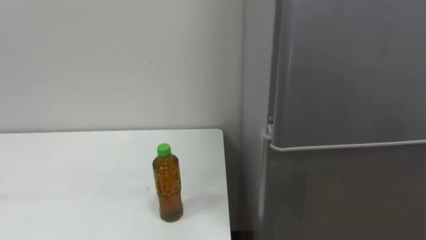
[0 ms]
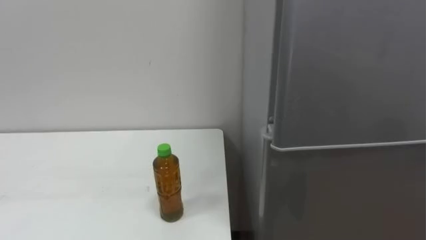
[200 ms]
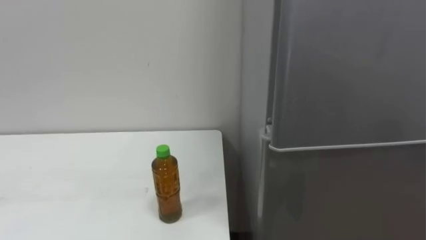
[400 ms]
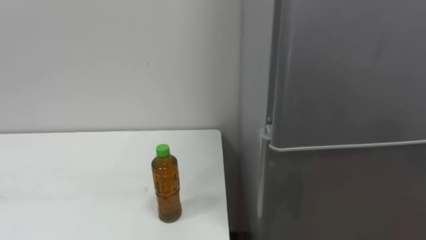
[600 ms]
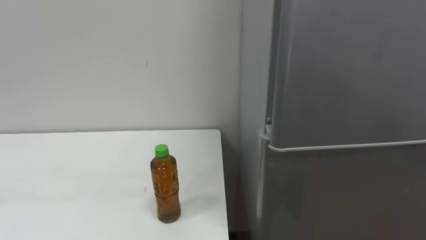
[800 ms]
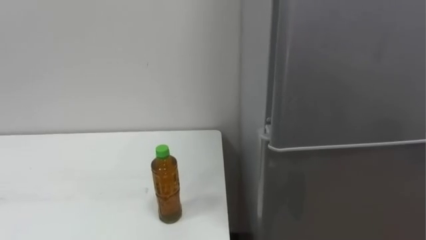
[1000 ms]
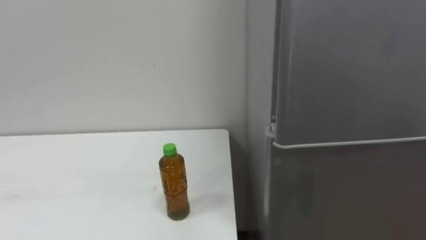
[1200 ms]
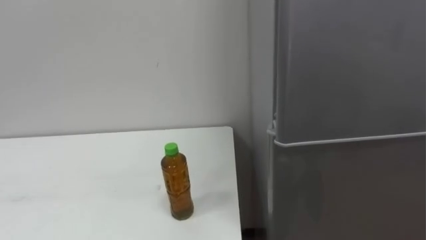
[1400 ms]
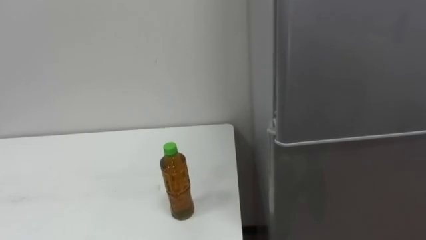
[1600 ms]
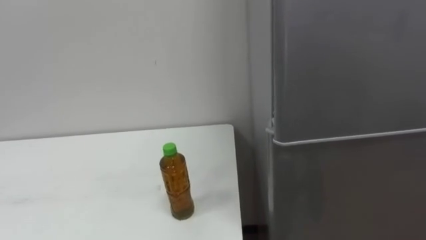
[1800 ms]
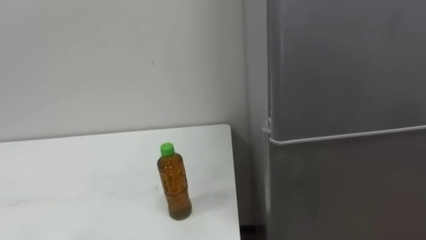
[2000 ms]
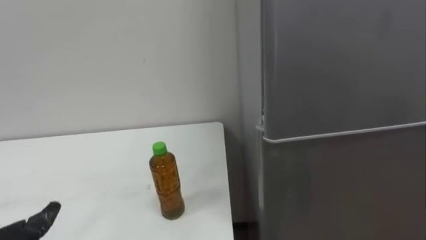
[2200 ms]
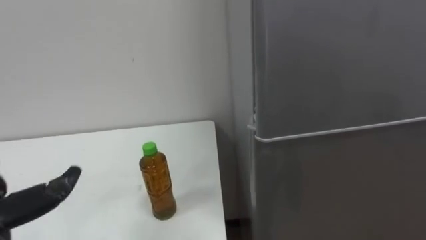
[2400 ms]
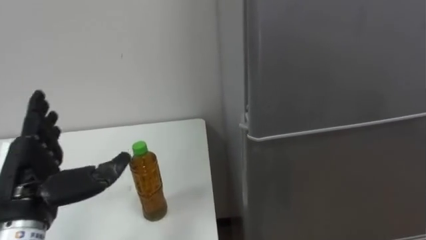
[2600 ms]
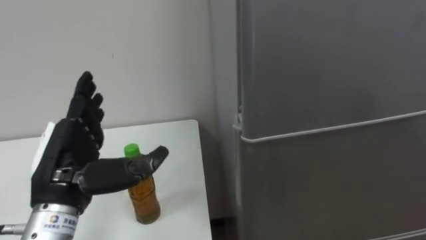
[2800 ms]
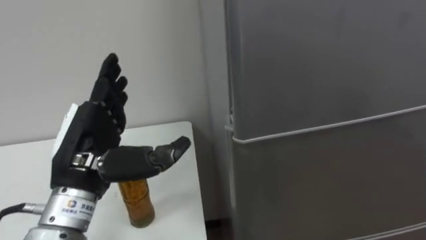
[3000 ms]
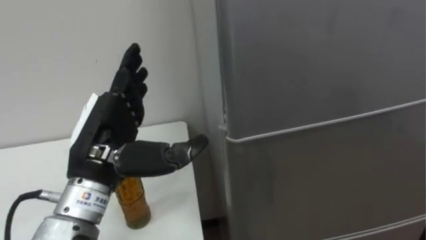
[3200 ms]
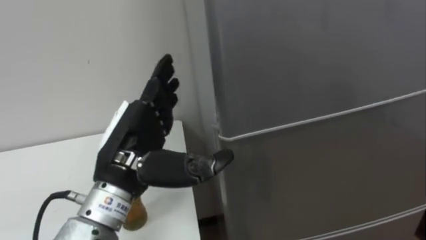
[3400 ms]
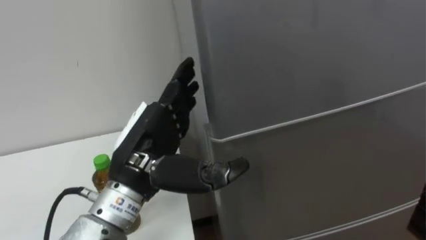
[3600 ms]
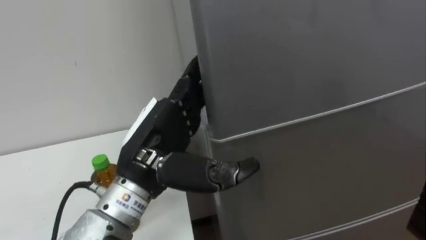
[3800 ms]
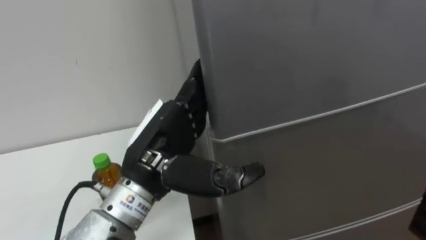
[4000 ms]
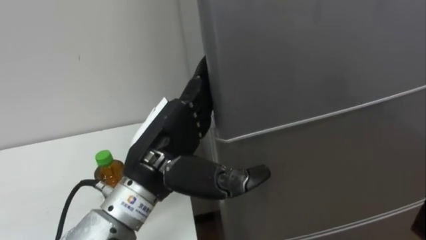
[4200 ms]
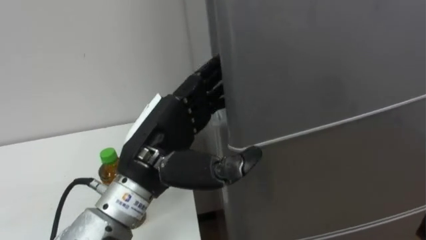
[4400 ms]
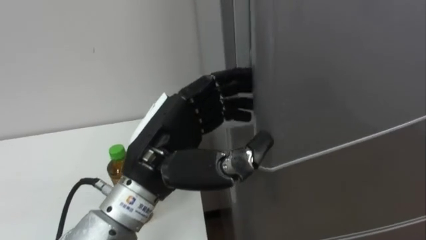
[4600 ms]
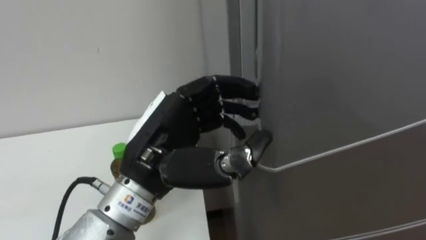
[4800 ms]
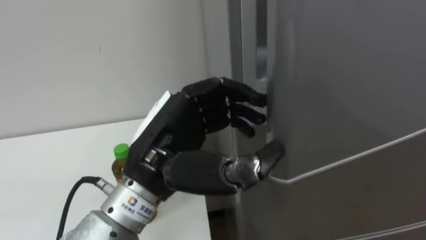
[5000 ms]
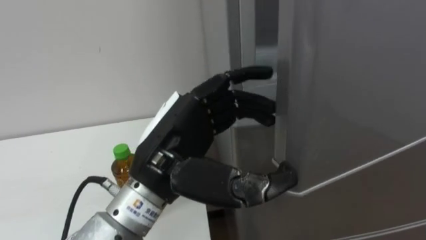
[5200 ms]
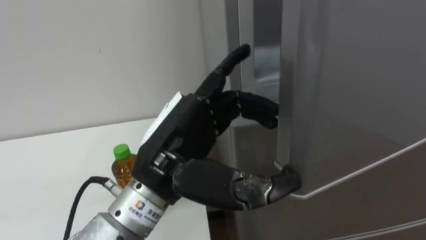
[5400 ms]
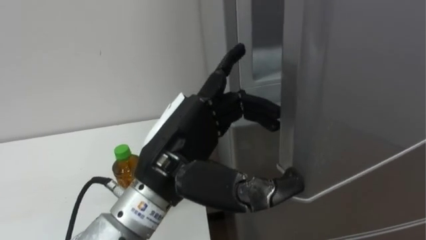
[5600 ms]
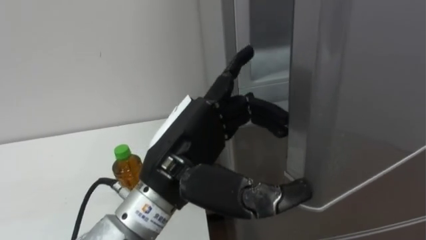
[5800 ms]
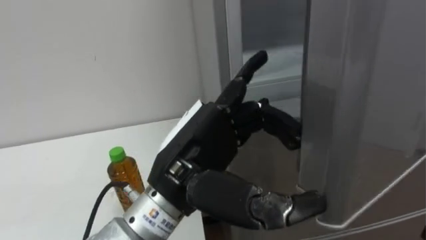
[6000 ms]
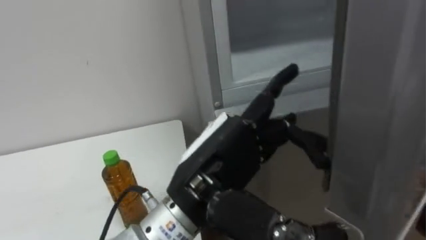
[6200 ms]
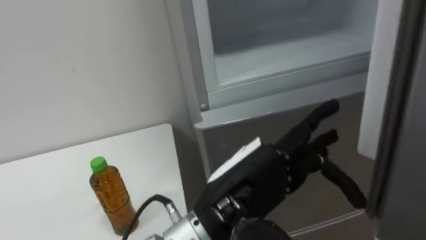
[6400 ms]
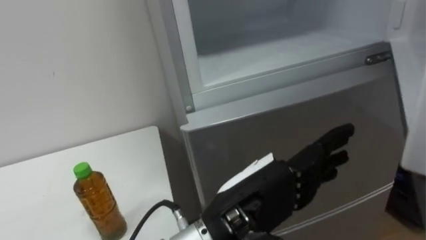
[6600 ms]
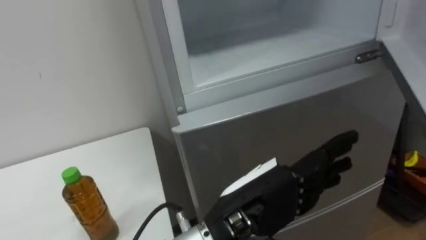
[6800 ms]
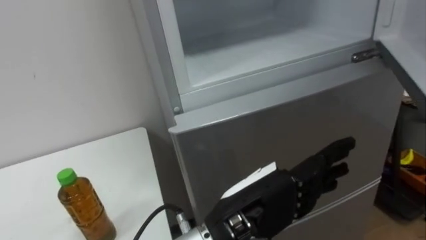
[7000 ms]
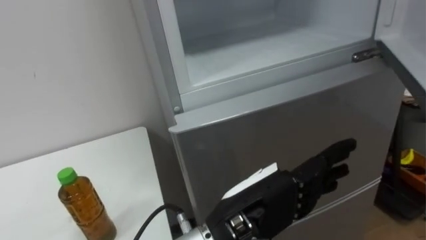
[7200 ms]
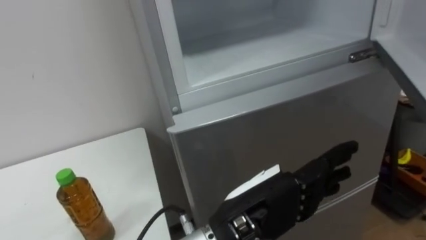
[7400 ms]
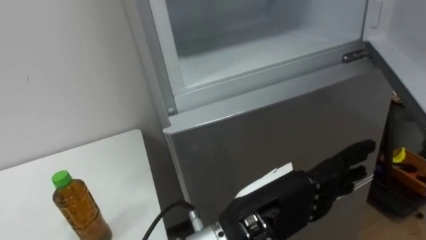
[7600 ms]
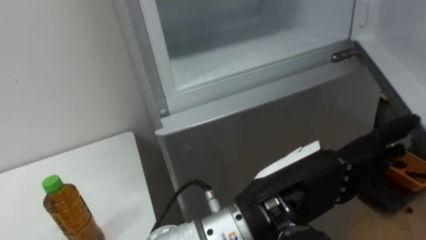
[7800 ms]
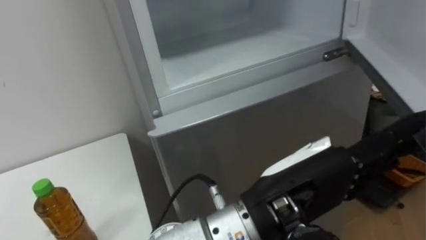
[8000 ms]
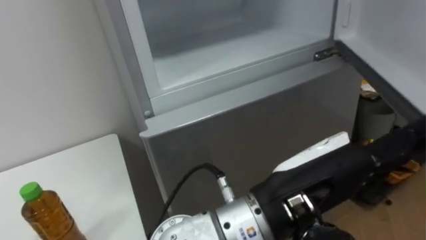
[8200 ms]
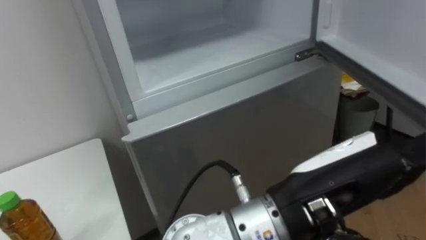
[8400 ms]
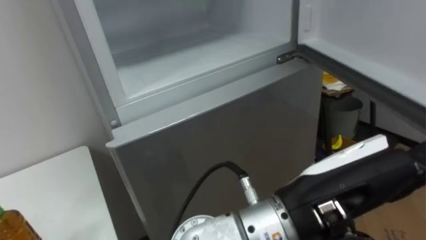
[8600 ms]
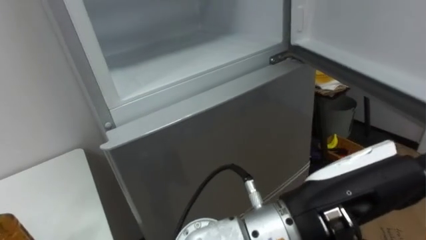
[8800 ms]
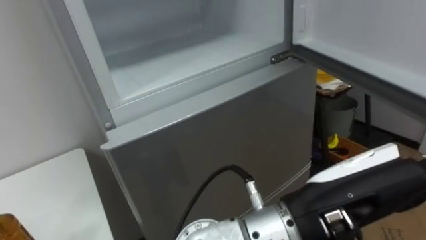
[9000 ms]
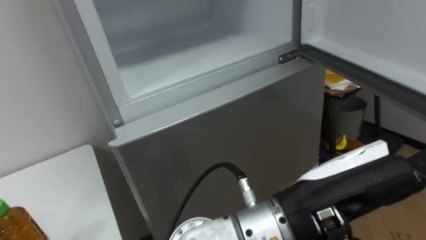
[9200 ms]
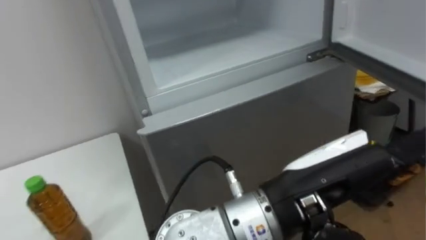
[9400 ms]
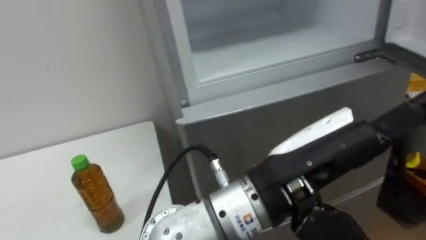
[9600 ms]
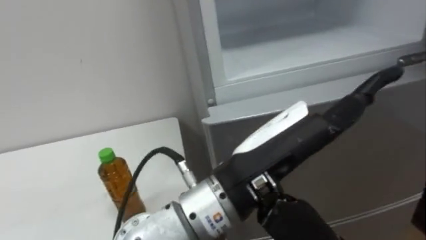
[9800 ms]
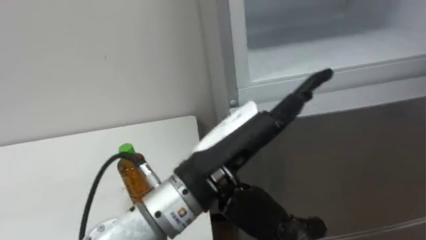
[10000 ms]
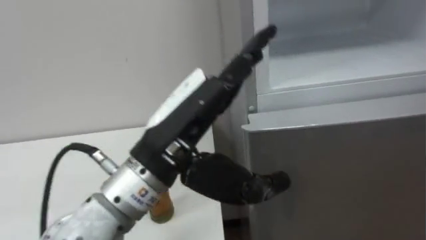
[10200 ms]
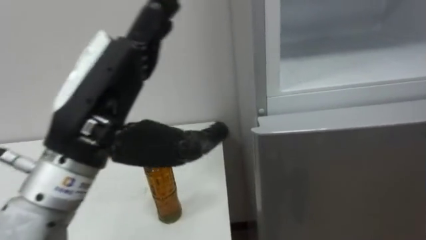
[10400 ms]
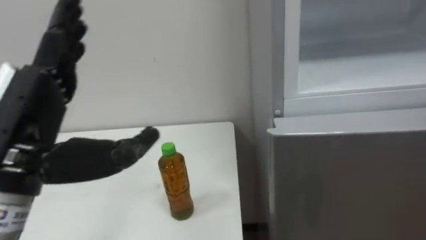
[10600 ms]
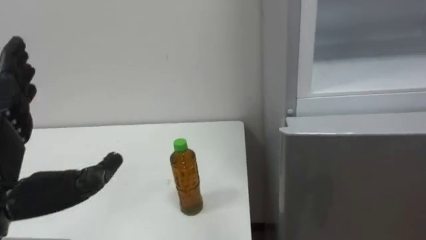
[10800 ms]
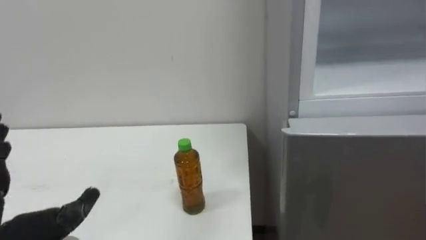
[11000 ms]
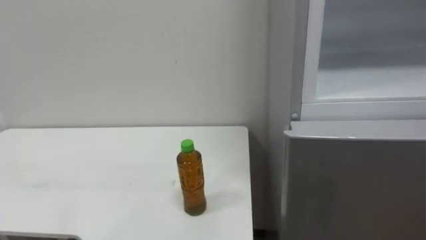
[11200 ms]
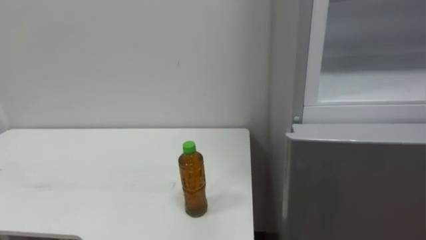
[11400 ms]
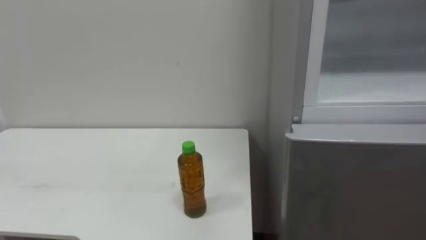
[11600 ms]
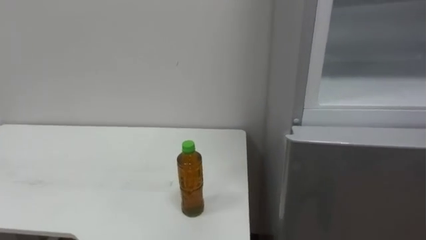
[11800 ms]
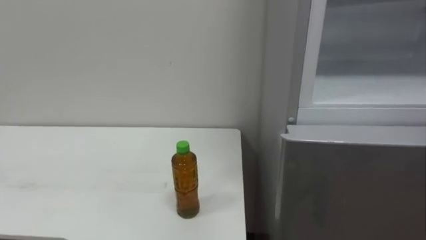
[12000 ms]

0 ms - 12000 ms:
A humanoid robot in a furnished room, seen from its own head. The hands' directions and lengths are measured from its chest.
Task of the whole recording: Open the upper refrigerator door, put the drink from the table into the refrigerator, and then close the refrigerator door.
3000 ms - 4400 ms: The left hand heads to the right, covering about 10 cm.
4400 ms - 6000 ms: The left hand moves approximately 5 cm, and closes and opens again.
6000 ms - 7600 ms: The left hand is displaced to the right by about 10 cm.
7600 ms - 9000 ms: The left hand shifts some 10 cm to the right and upward.
9000 ms - 10400 ms: The left hand travels to the left by roughly 20 cm.

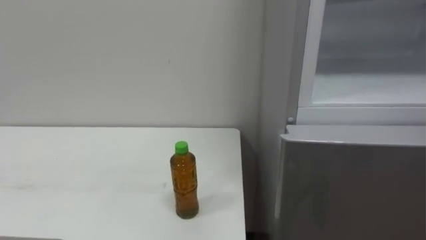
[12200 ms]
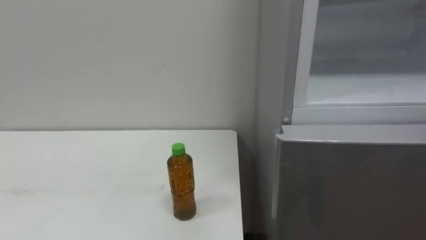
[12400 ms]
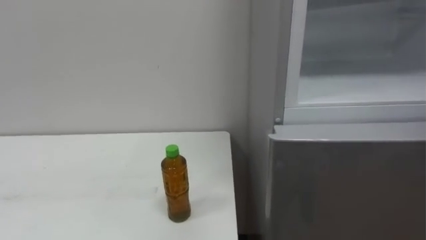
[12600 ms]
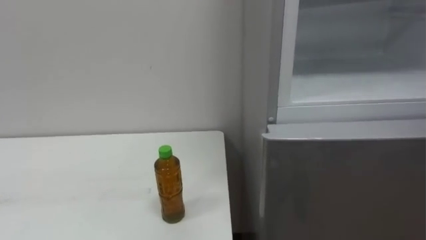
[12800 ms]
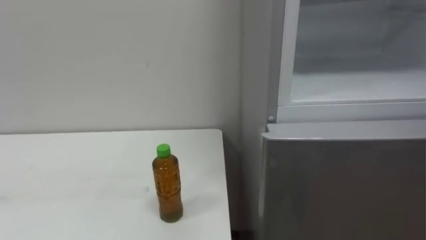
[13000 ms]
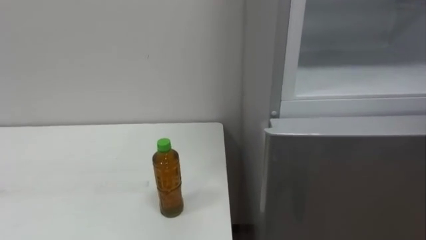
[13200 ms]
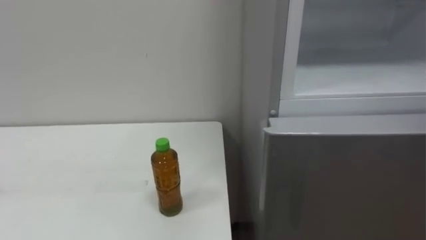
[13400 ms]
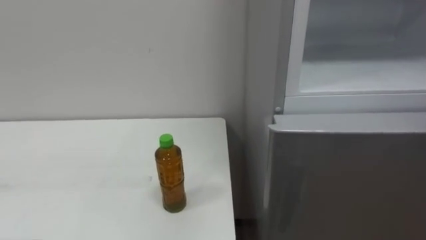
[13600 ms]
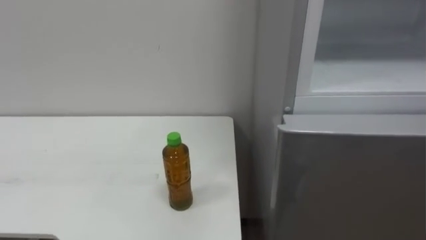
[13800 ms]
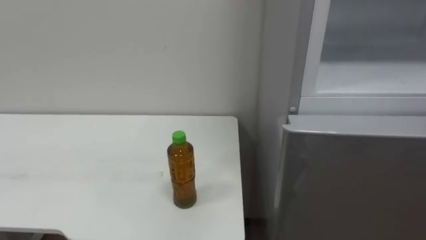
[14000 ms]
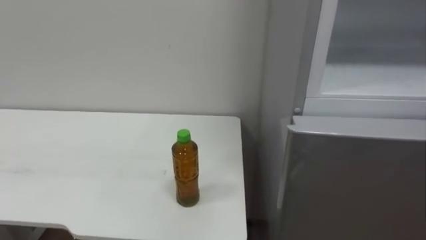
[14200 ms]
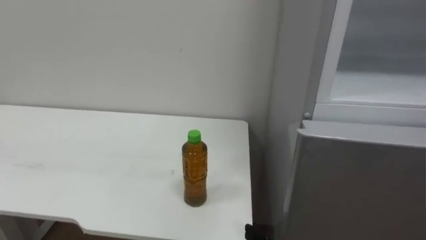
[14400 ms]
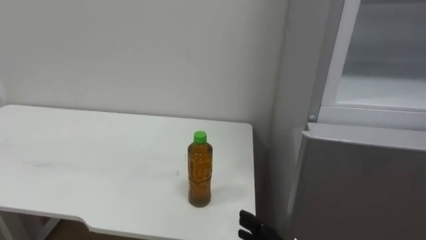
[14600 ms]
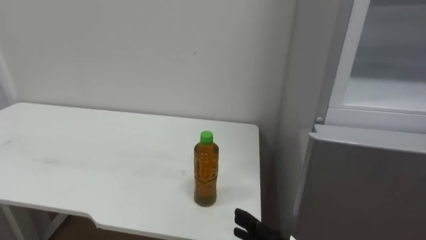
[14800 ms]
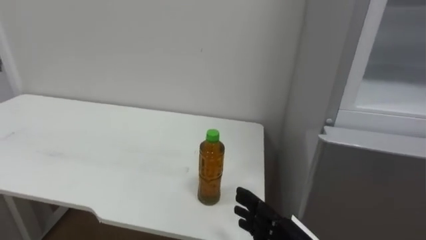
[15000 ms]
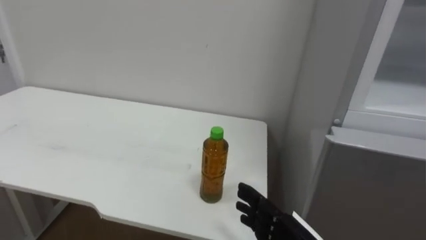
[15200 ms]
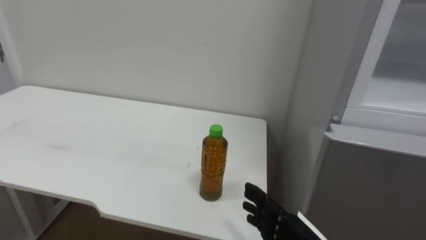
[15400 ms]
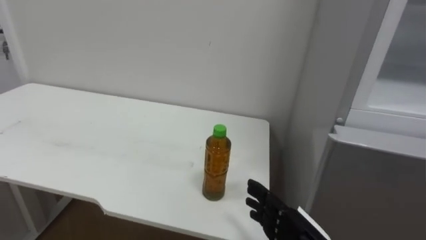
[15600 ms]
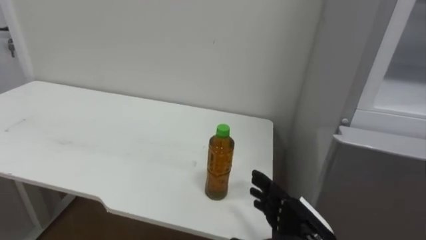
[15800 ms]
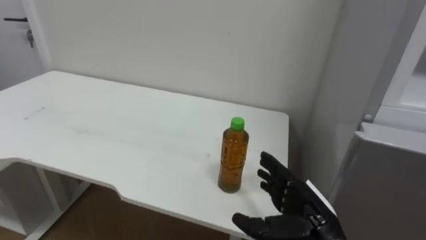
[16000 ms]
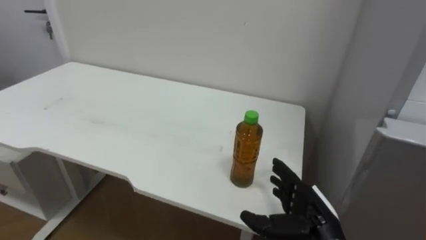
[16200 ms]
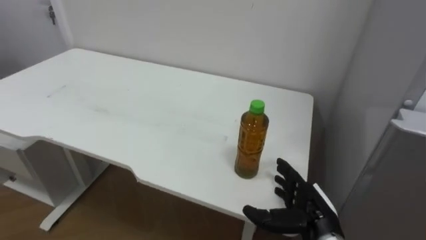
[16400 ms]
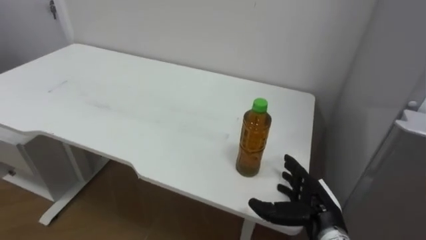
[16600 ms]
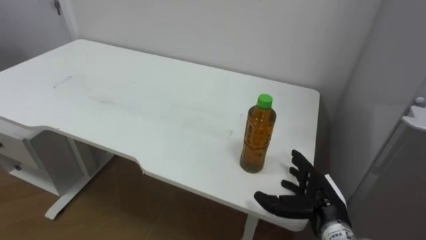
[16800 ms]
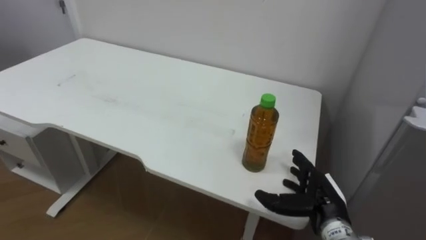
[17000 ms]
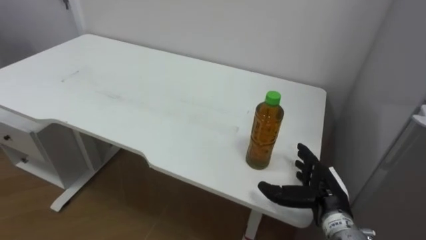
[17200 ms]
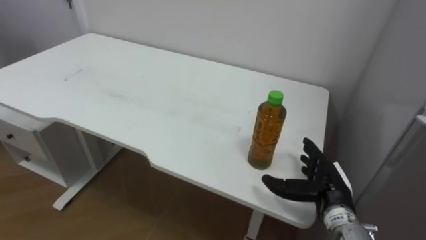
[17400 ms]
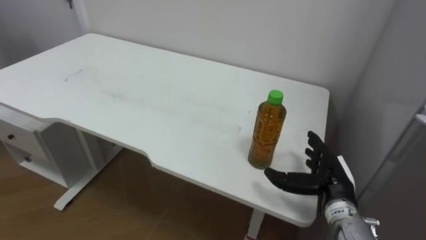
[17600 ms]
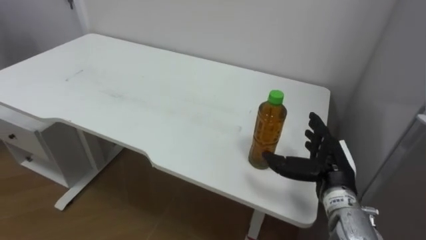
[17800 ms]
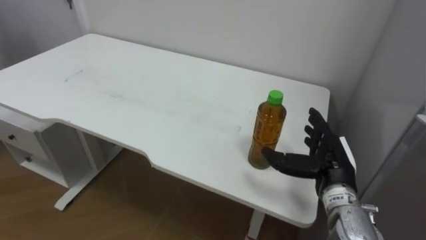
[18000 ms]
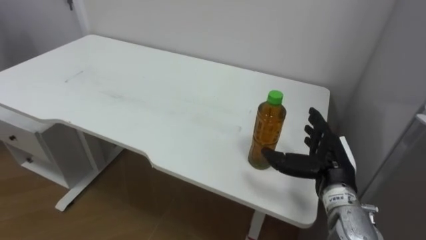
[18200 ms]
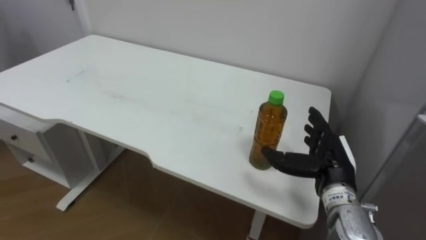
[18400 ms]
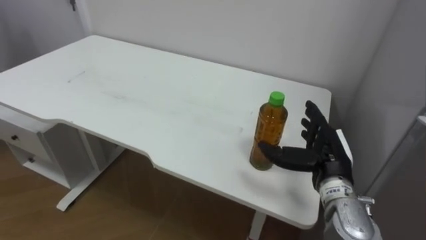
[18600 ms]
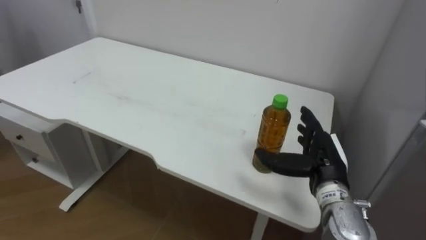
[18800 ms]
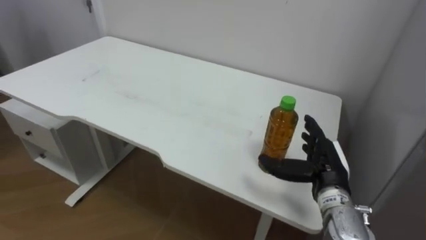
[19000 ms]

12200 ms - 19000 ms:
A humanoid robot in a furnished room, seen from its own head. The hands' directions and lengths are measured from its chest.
Task of the whole recording: Open the upper refrigerator door, put the drink from the table into the refrigerator, and then close the refrigerator door.
16200 ms - 17600 ms: The right hand goes approximately 5 cm forward.
